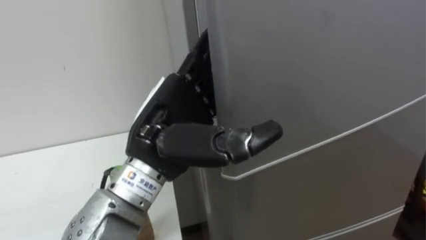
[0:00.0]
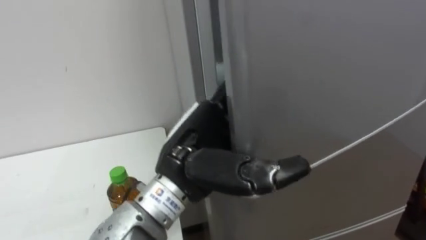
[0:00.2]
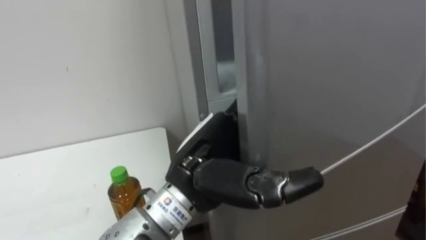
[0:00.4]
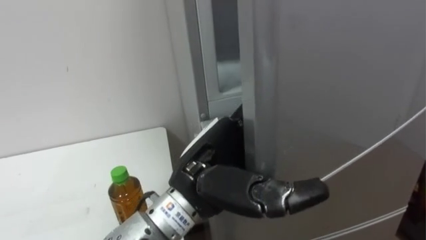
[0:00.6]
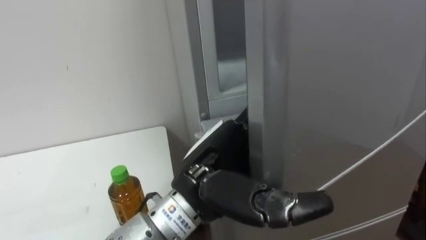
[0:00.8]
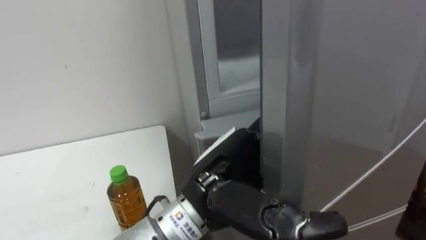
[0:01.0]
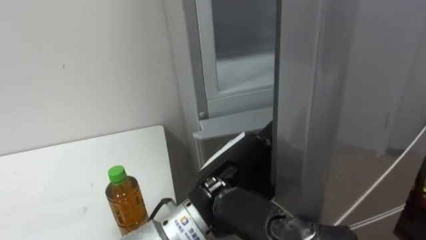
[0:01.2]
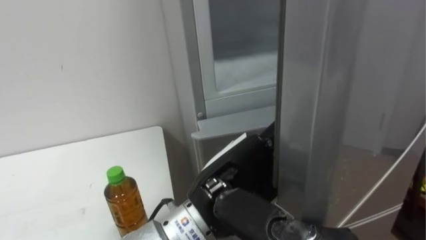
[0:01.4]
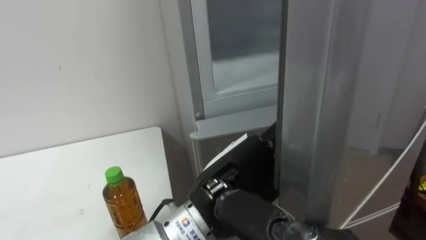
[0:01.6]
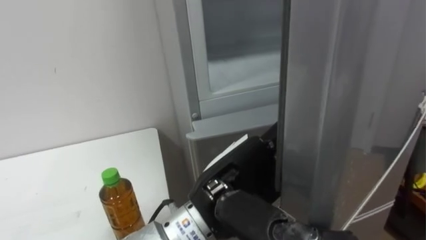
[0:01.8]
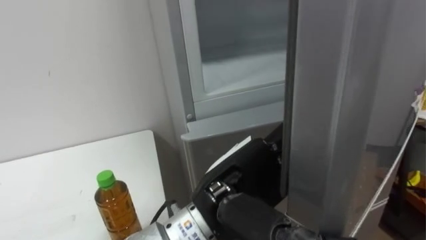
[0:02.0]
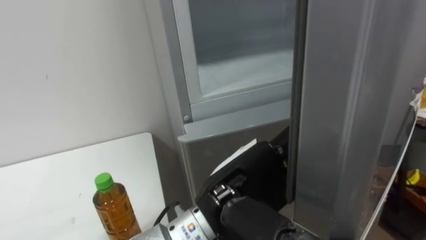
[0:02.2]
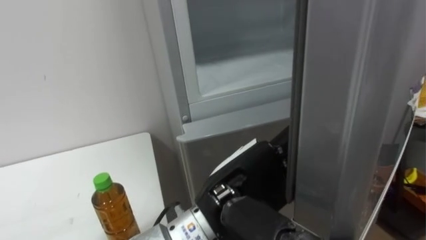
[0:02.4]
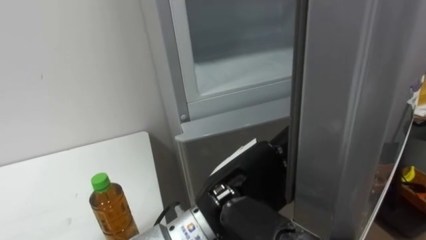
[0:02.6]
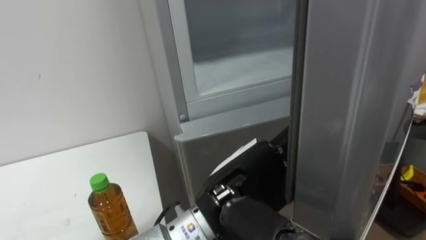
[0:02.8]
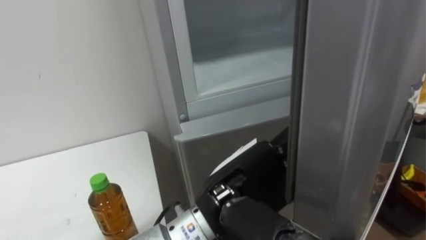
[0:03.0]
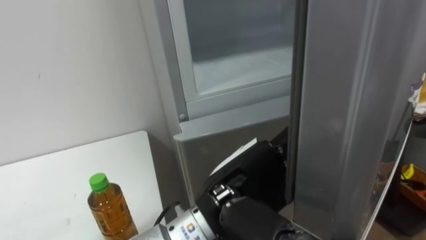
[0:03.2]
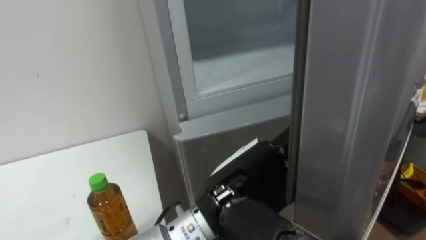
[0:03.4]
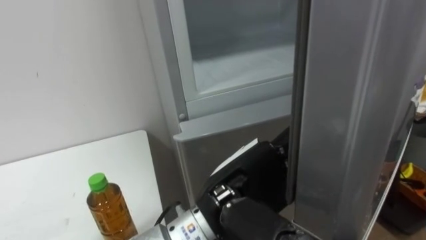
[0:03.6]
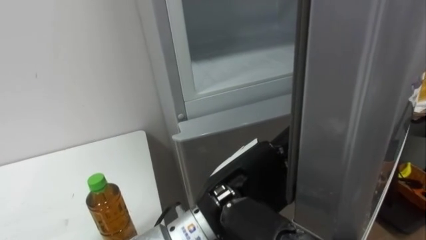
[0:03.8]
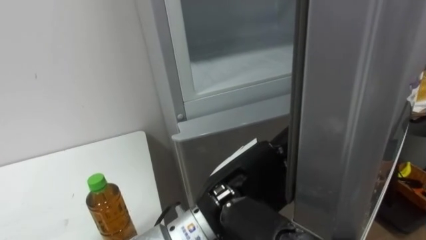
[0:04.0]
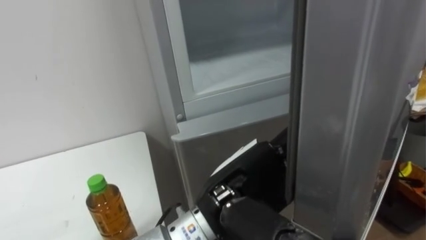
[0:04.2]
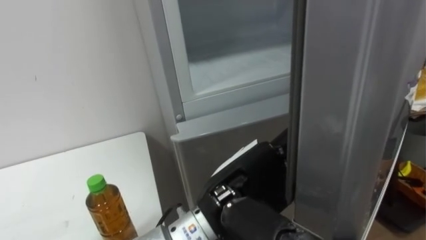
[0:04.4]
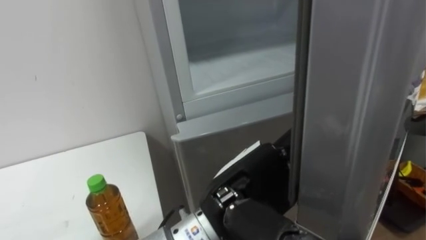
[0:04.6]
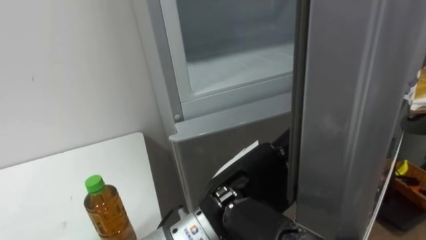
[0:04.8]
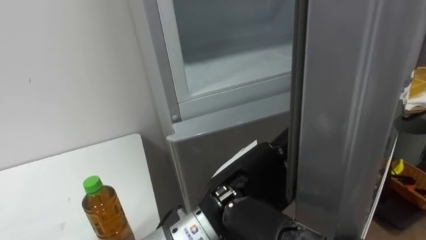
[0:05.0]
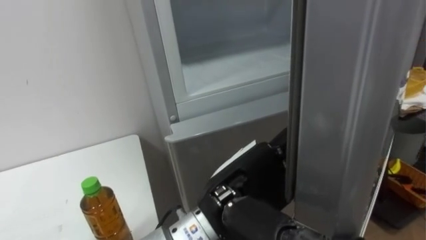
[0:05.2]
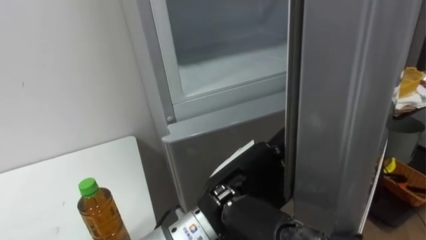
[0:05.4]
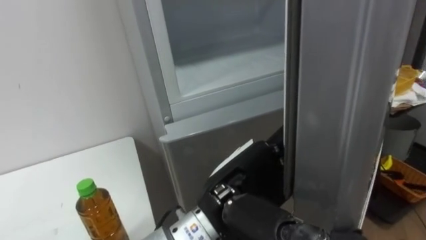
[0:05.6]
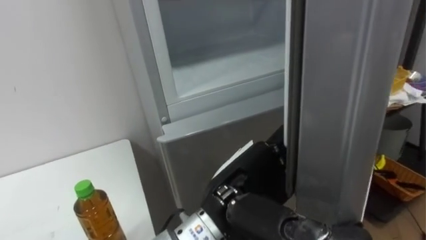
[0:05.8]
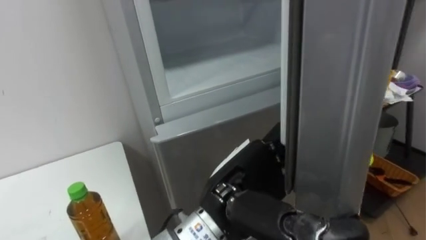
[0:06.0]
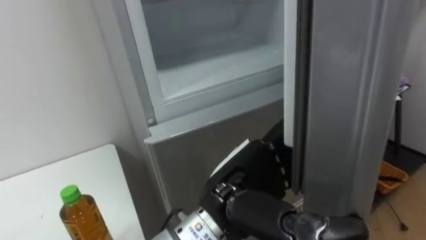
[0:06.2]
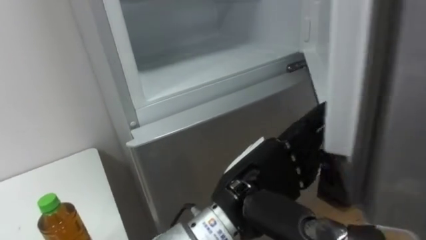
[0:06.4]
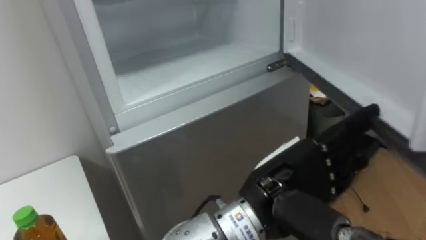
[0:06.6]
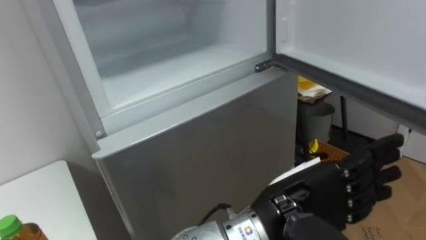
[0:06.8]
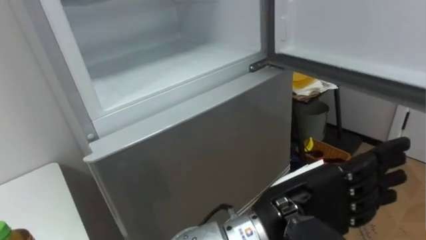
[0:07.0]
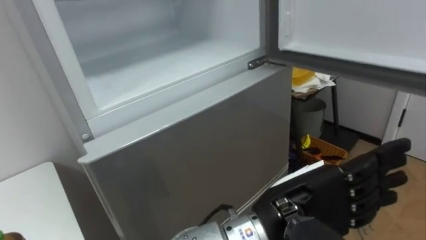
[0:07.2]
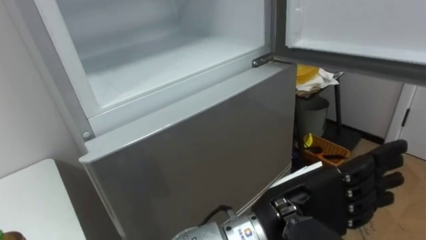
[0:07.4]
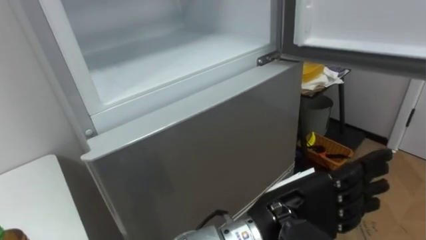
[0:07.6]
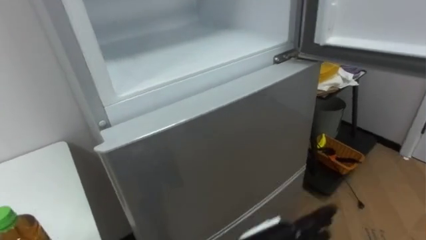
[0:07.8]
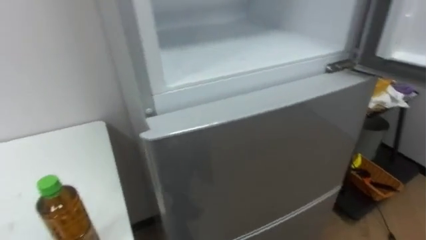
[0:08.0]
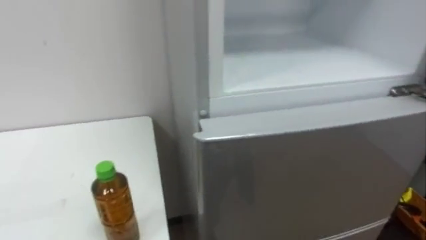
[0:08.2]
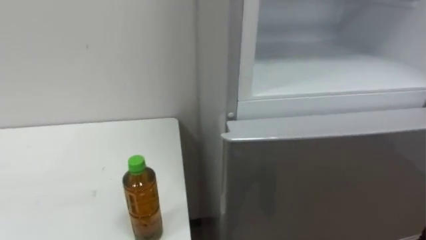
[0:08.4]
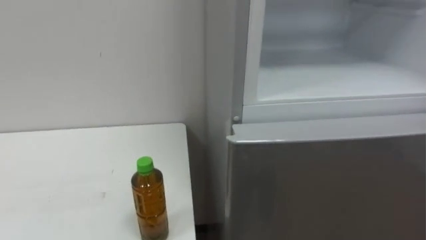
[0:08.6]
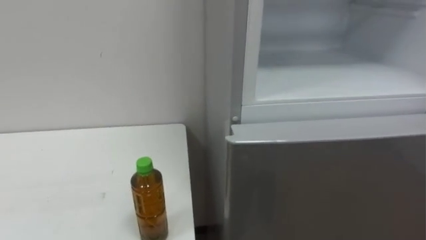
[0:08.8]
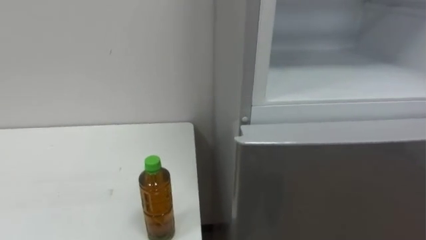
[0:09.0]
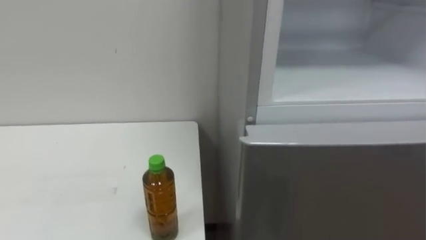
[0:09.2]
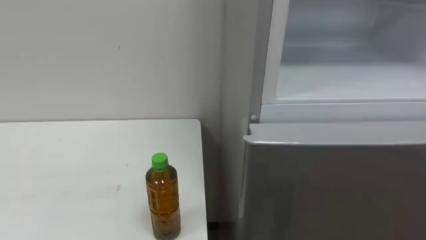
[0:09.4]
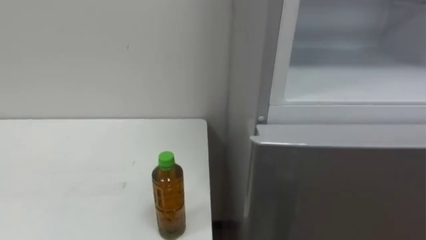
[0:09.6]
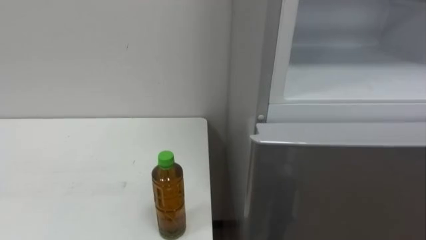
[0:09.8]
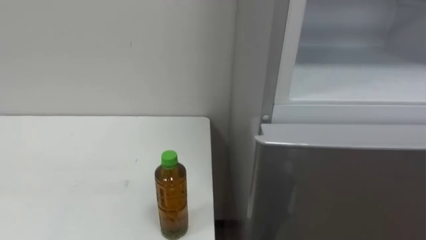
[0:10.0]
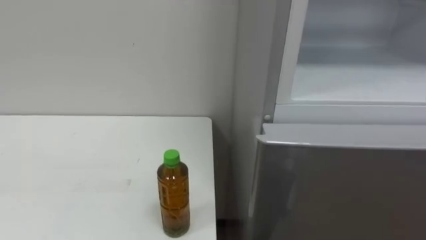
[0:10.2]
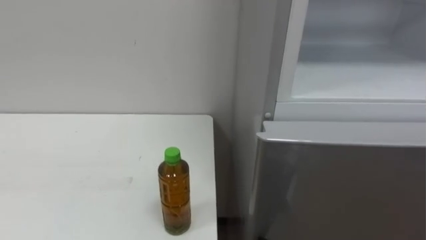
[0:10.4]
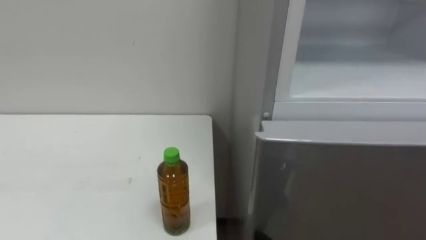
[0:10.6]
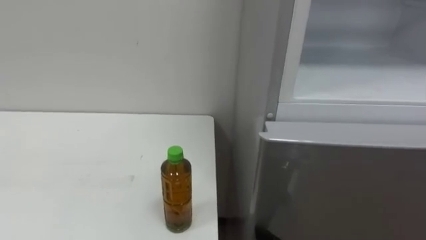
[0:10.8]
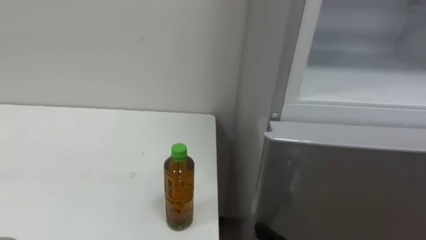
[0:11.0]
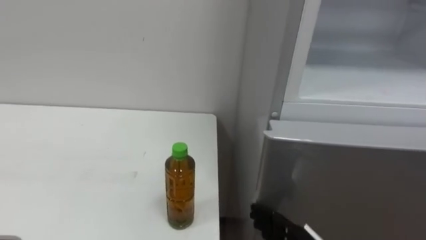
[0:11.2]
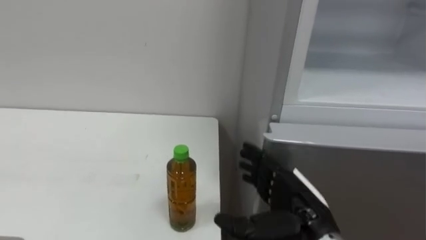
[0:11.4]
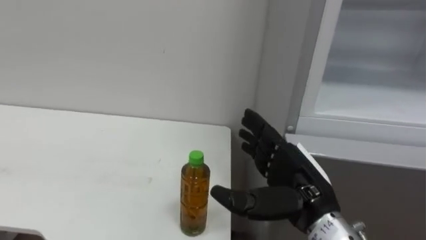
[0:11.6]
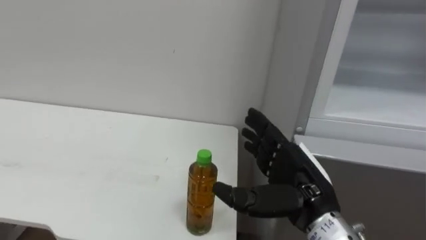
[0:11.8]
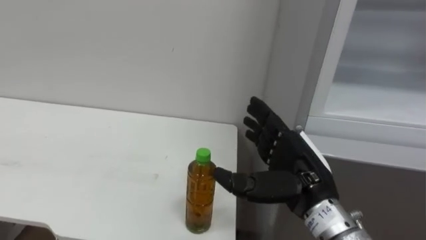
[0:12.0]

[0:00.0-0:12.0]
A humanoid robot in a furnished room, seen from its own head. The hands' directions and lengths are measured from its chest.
Task of the whole recording: Open the upper refrigerator door, put the drink from the table into the refrigerator, and then close the refrigerator door.
0:00.0 to 0:01.6: The left hand moves to the right and downward, about 10 cm.
0:06.0 to 0:07.6: The left hand heads to the right, covering about 5 cm.

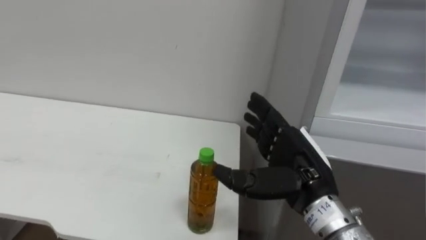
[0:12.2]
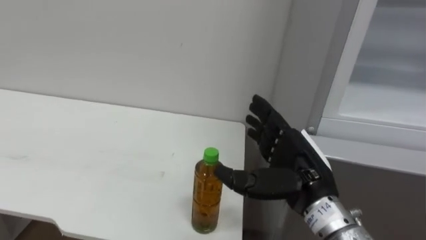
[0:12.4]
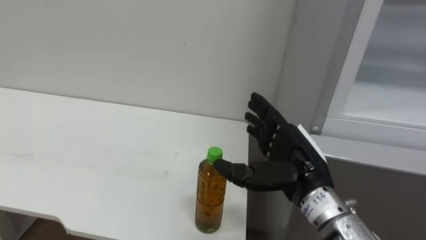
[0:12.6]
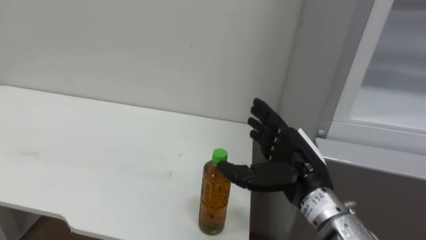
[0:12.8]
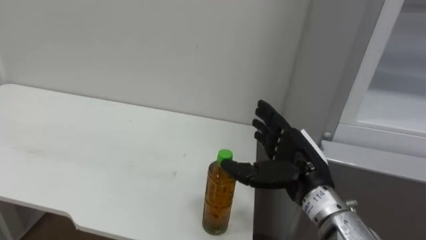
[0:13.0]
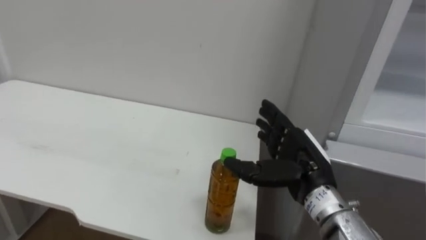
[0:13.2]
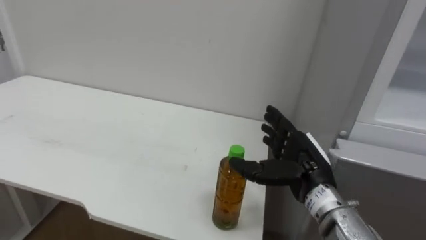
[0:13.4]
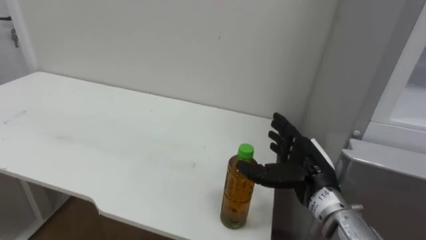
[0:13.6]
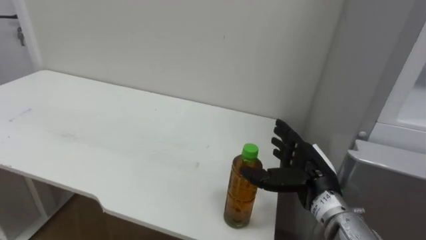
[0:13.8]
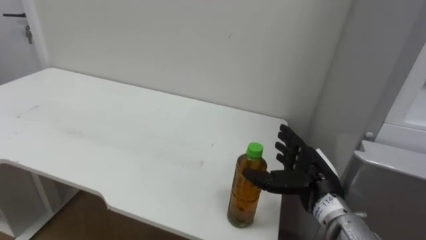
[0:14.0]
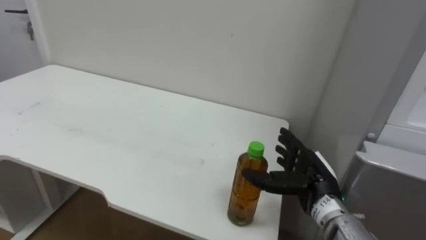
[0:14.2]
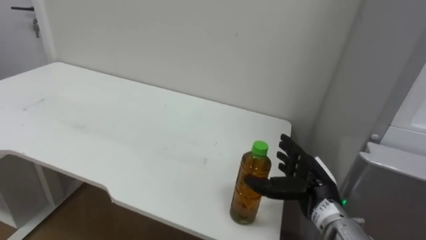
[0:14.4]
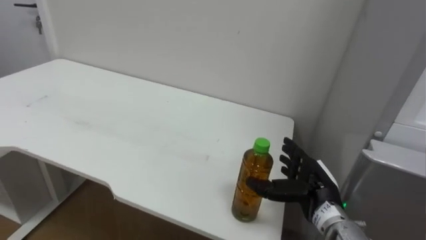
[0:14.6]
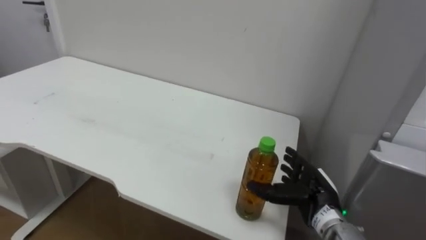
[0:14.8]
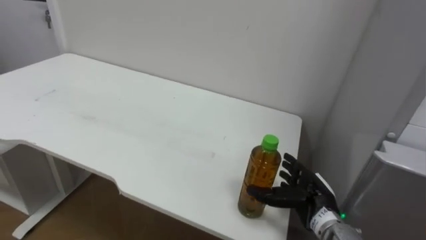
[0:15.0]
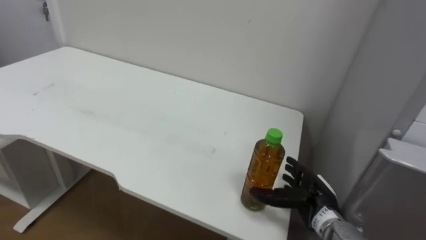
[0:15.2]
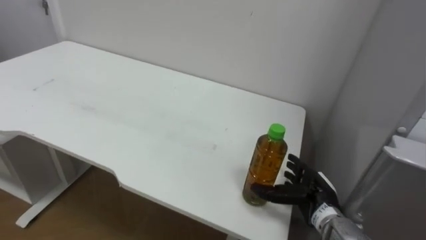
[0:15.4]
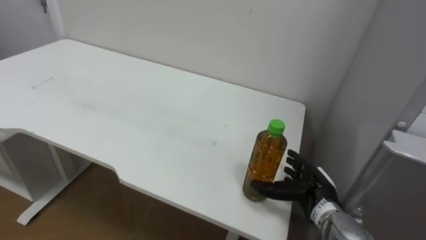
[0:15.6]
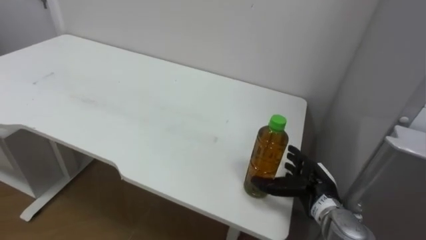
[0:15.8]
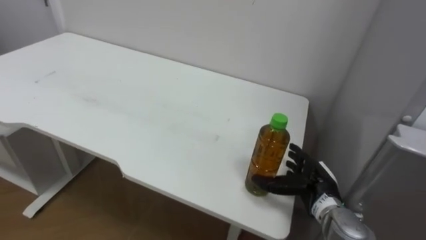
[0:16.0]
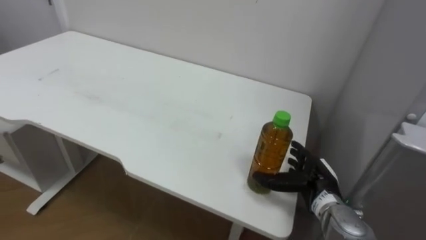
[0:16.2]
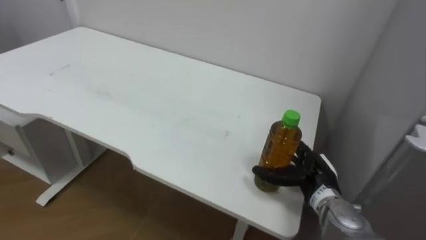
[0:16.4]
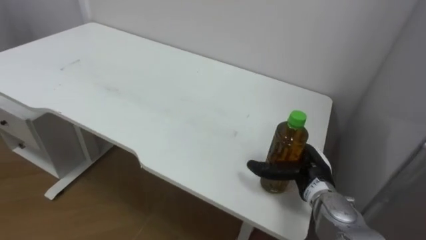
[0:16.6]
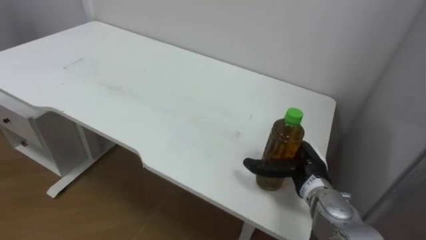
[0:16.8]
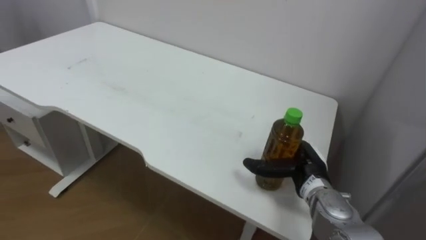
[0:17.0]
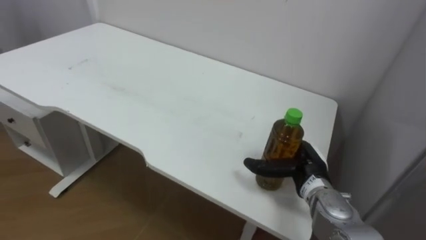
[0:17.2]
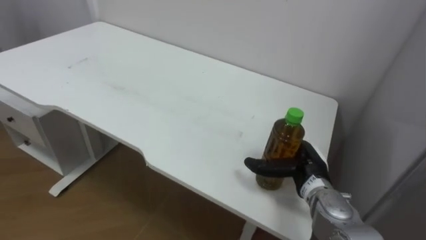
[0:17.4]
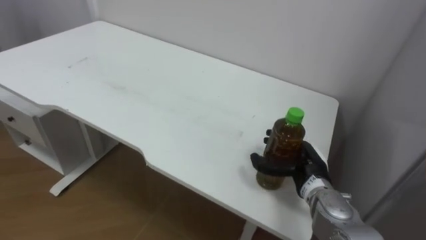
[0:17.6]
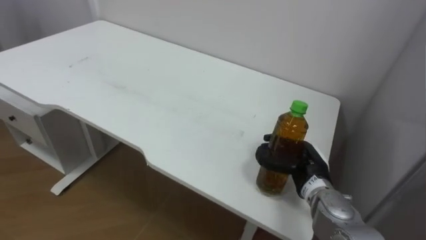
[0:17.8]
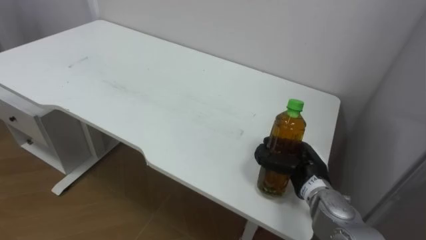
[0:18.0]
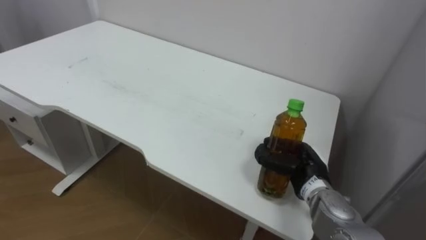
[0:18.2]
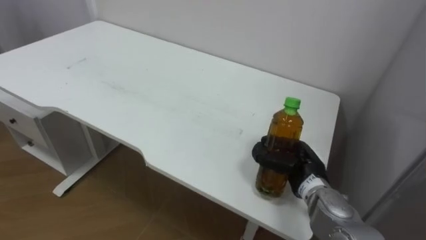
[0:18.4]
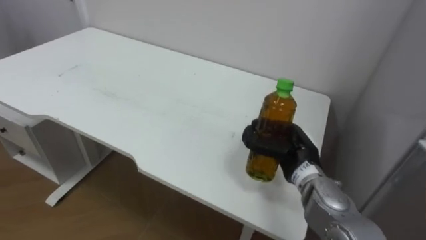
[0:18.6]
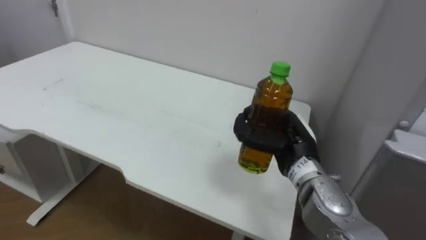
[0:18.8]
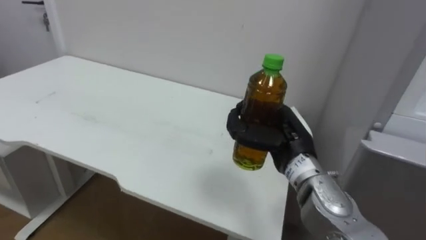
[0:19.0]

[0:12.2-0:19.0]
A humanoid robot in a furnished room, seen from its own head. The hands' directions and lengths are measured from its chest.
Task of the whole recording: Open the upper refrigerator door, put the drink from the table into the refrigerator, and then close the refrigerator door.
0:12.2 to 0:13.6: The right hand shifts about 5 cm forward.
0:13.6 to 0:15.0: The right hand travels downward by some 10 cm.
0:17.6 to 0:19.0: The right hand heads upward and to the left, covering some 10 cm, and closes up.
